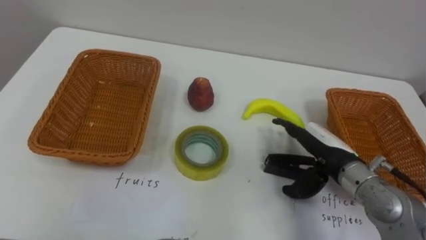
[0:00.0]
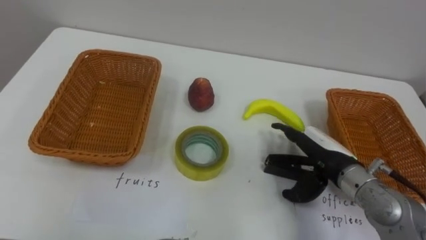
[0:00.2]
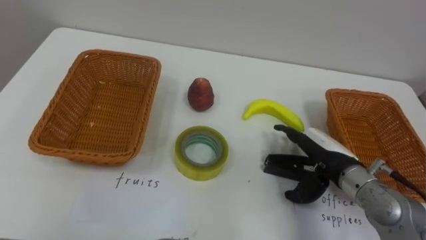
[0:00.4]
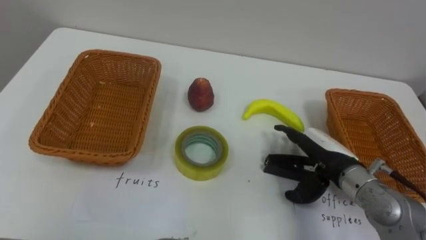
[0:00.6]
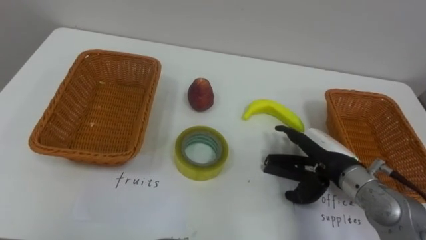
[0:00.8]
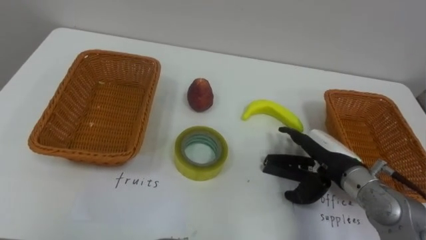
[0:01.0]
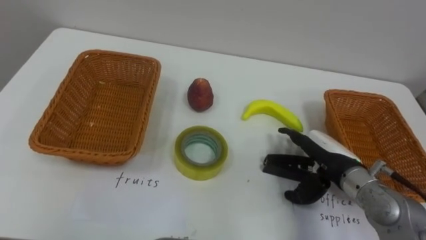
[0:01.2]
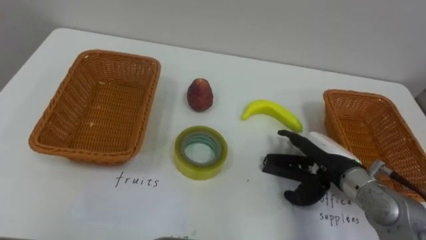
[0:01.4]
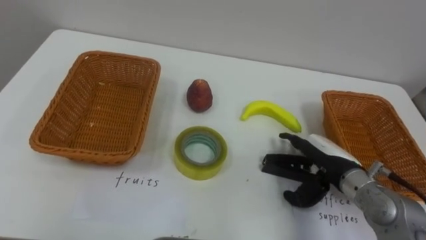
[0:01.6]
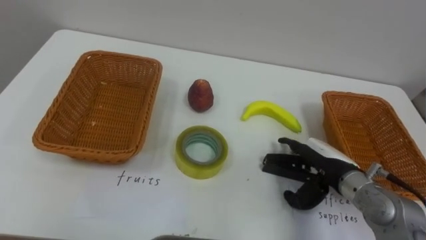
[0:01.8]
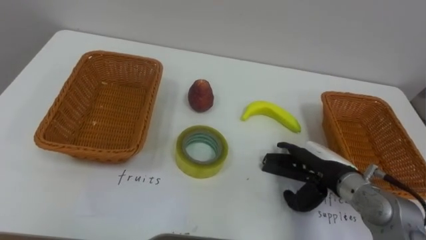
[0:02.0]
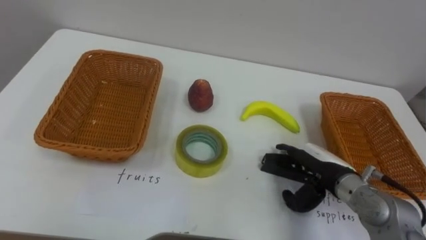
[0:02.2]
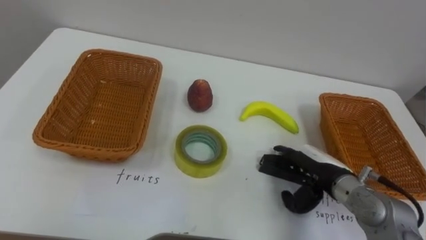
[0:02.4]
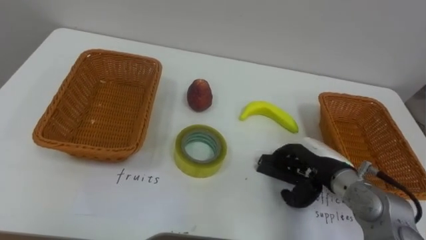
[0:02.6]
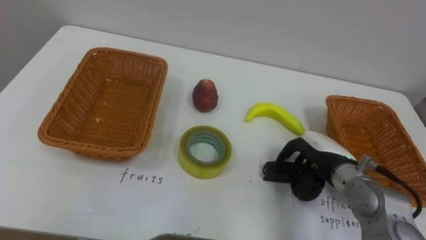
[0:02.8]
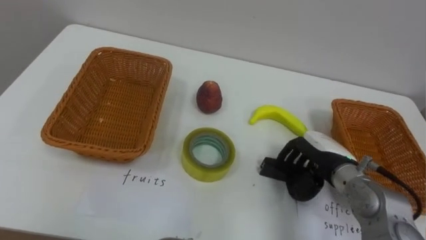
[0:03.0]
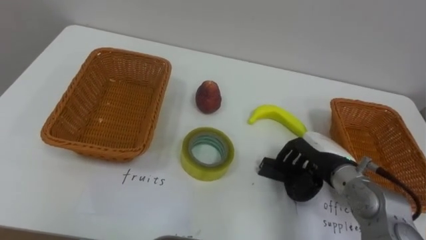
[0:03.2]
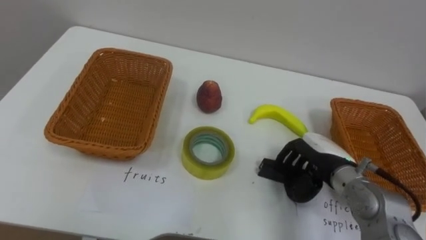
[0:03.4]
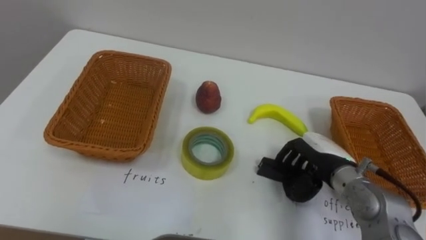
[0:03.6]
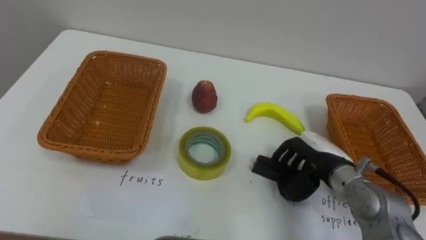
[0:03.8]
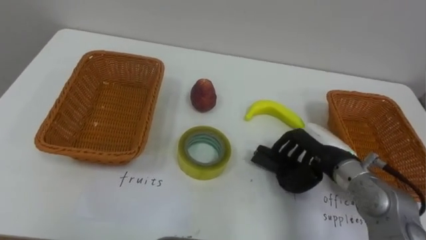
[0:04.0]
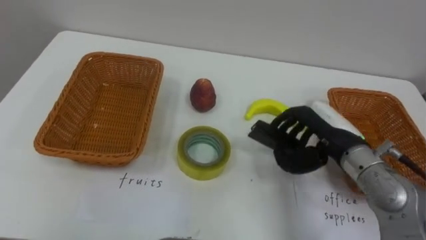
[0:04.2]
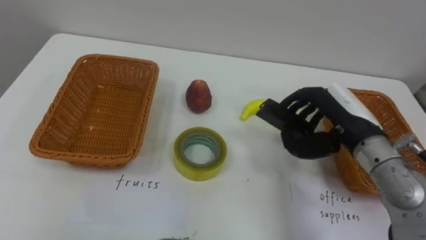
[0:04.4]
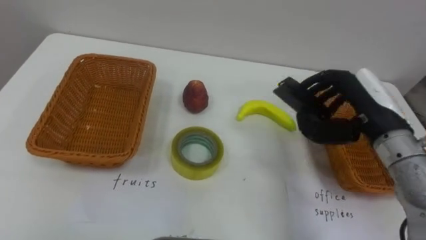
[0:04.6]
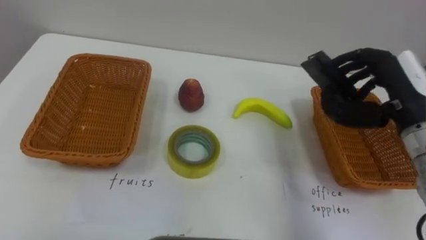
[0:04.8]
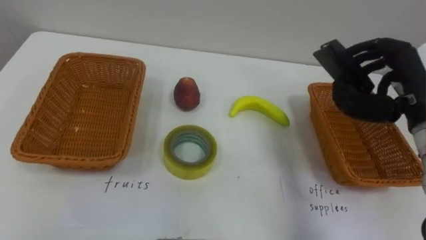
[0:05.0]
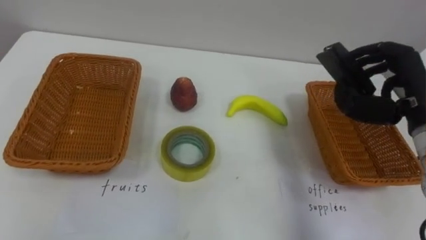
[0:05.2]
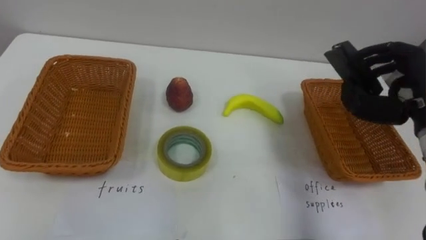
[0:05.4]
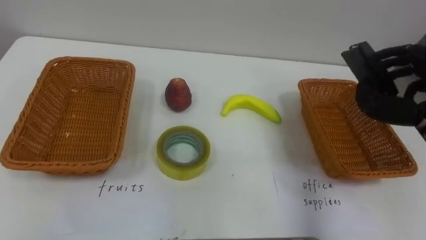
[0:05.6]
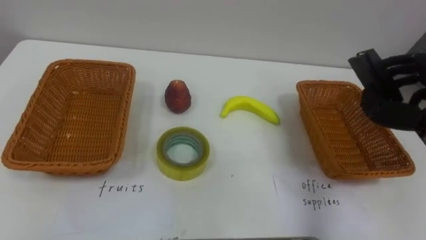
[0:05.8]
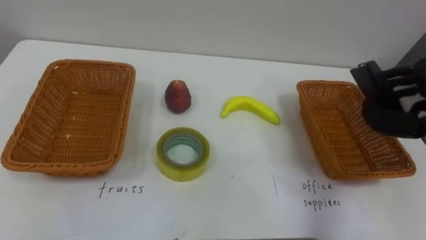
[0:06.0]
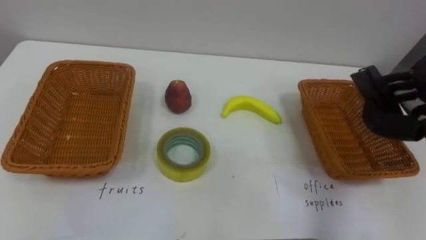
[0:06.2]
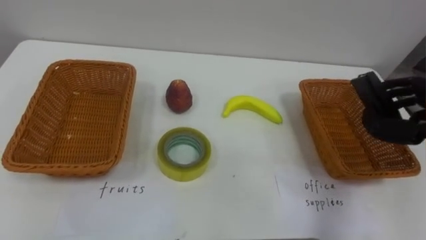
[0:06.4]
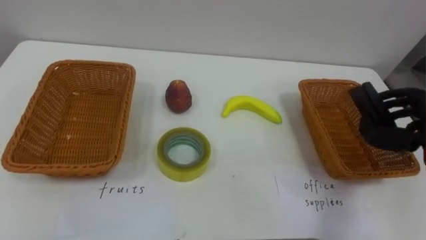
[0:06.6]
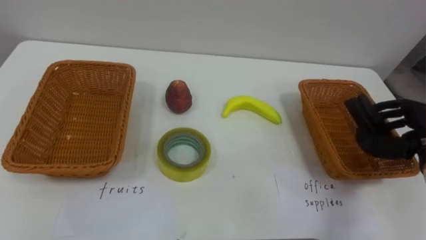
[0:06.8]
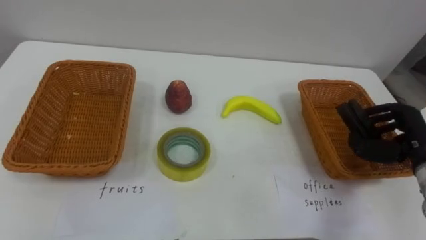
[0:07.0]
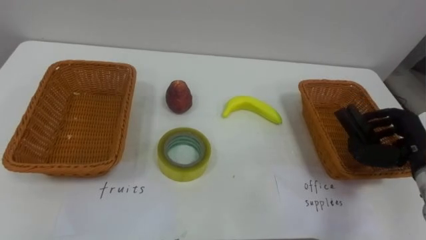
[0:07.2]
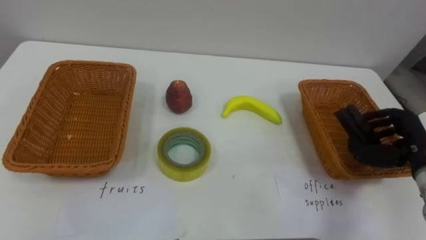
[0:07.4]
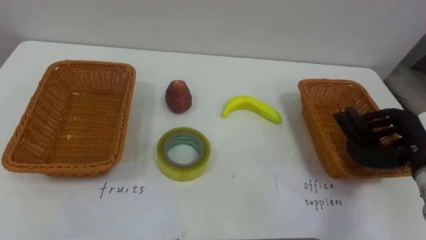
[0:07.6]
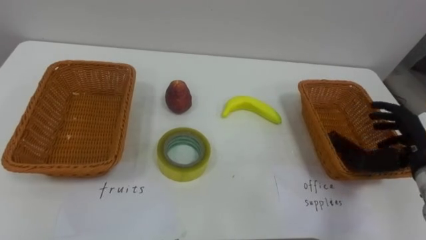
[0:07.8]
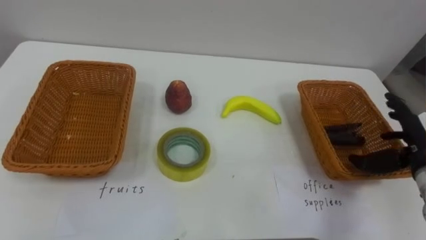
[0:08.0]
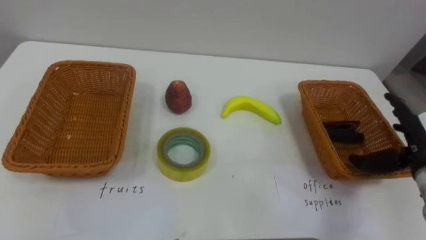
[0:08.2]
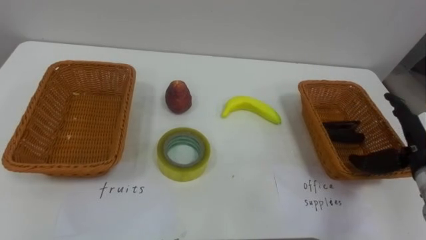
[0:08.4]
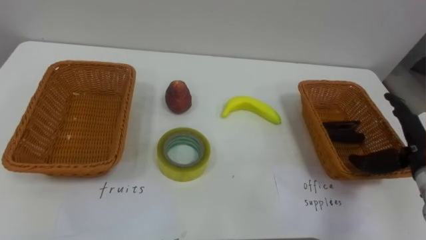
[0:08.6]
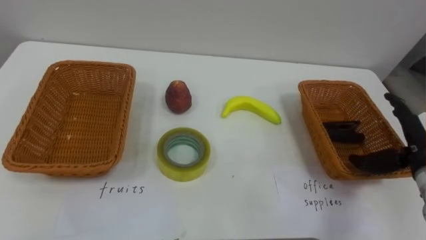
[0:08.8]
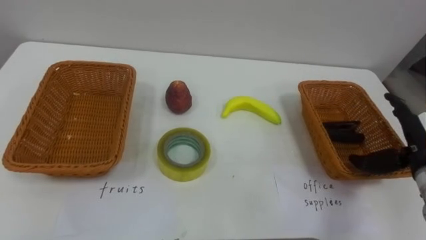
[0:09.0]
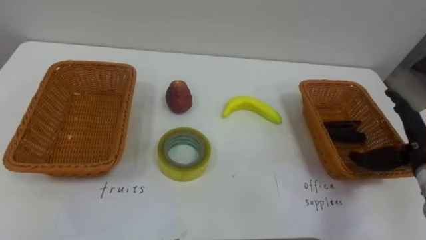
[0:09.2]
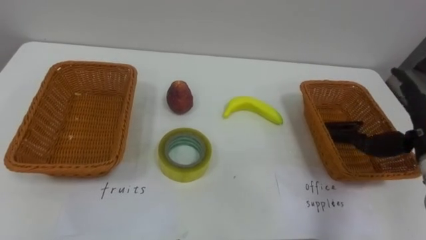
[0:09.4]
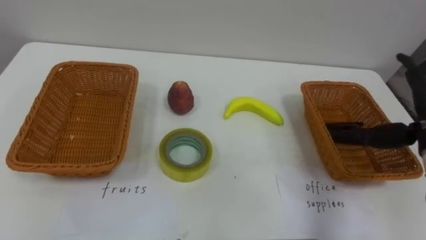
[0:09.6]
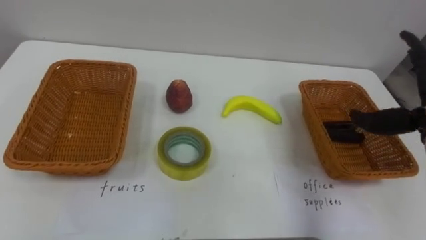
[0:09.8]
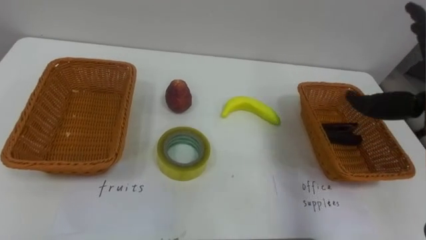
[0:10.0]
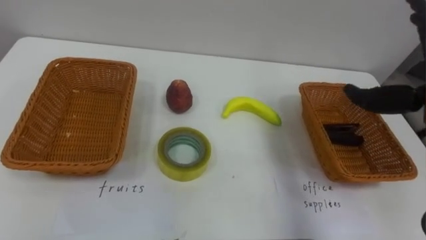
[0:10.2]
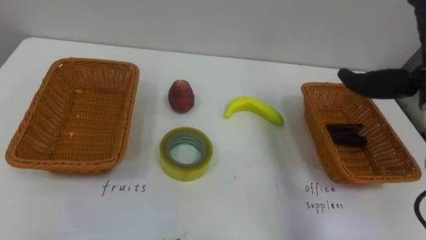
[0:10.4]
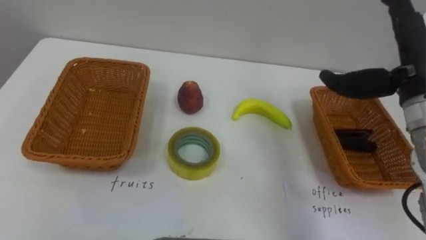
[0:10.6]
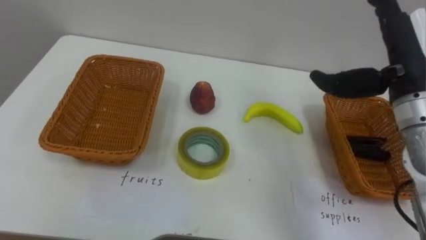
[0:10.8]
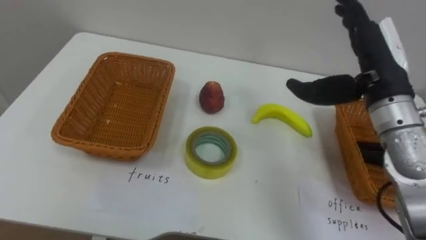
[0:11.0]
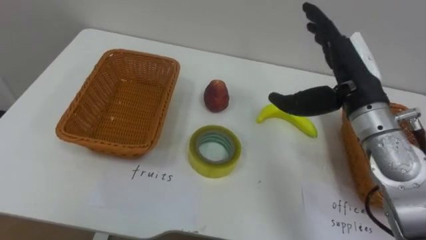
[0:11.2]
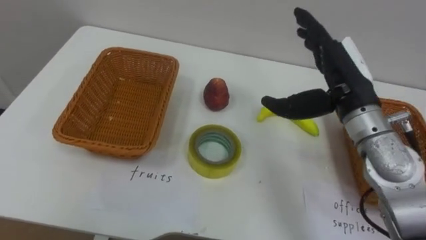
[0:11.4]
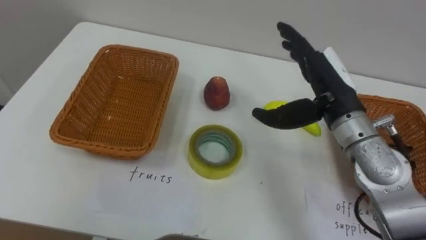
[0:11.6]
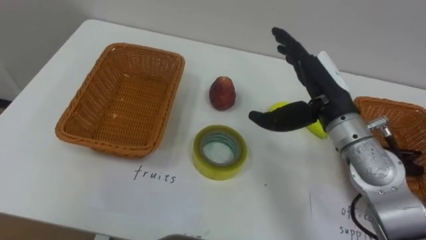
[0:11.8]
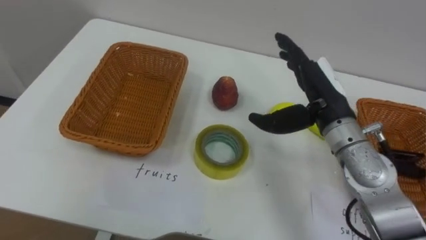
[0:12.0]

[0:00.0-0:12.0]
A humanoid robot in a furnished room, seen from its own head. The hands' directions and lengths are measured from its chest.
Task of the whole recording: Separate the items on the table and place them into the two baskets.
0:01.6 to 0:03.0: The right hand closes its fingers.
0:03.0 to 0:04.4: The right hand shifts about 10 cm upward.
0:07.6 to 0:09.0: The right hand opens.

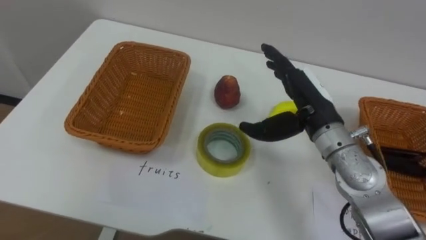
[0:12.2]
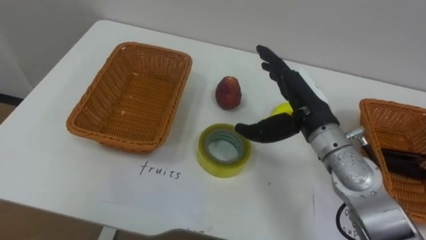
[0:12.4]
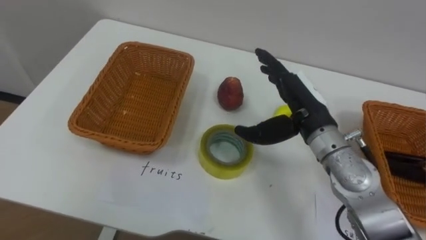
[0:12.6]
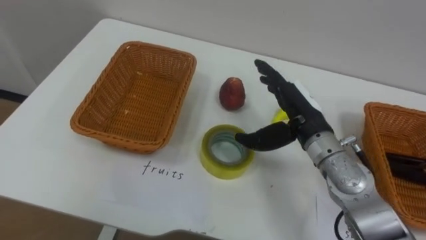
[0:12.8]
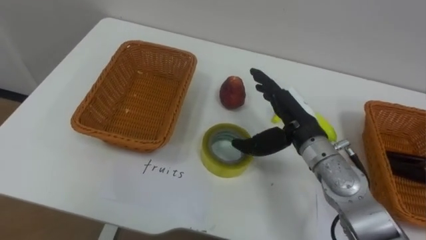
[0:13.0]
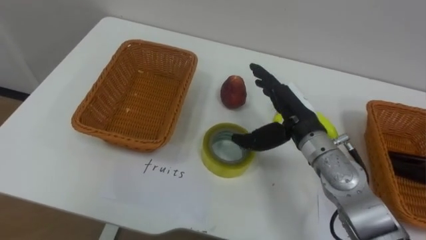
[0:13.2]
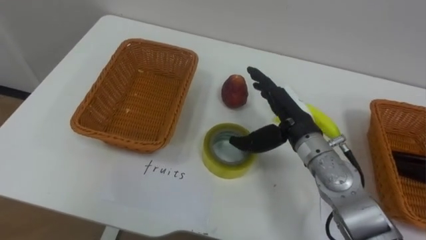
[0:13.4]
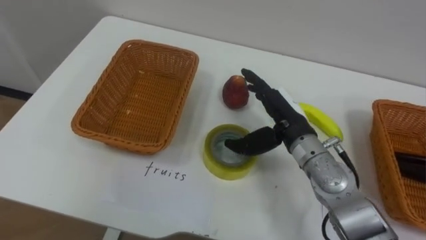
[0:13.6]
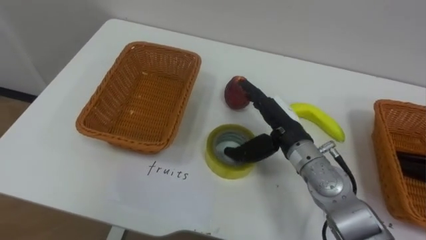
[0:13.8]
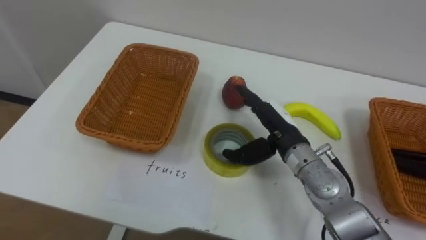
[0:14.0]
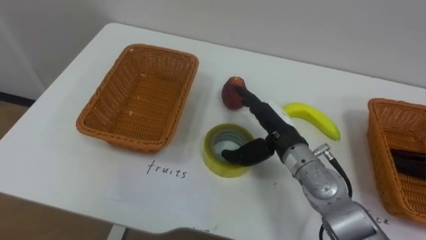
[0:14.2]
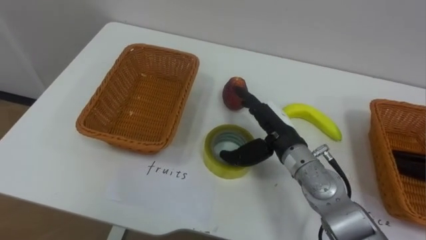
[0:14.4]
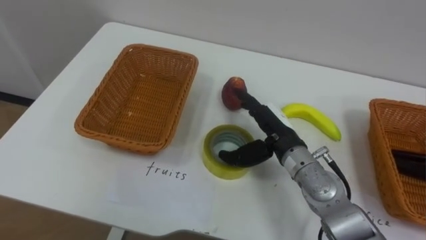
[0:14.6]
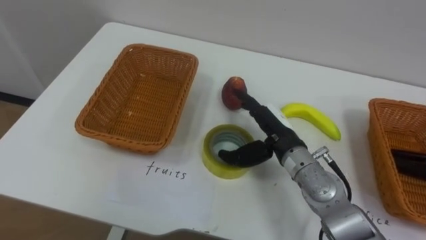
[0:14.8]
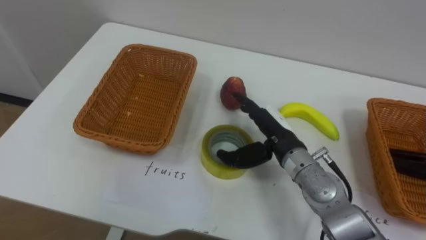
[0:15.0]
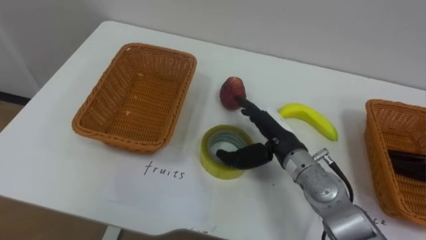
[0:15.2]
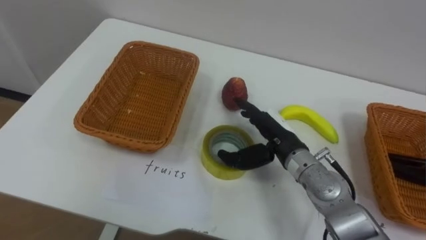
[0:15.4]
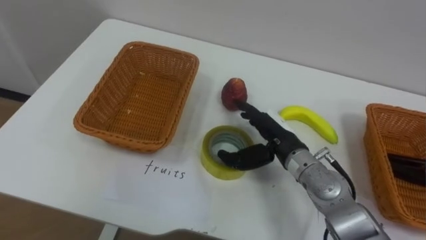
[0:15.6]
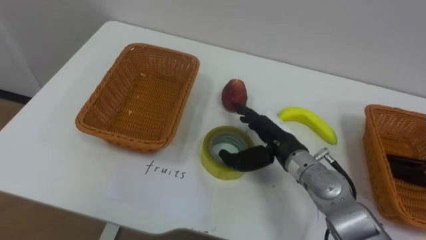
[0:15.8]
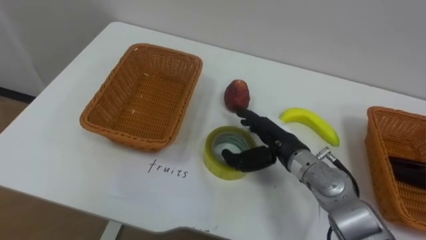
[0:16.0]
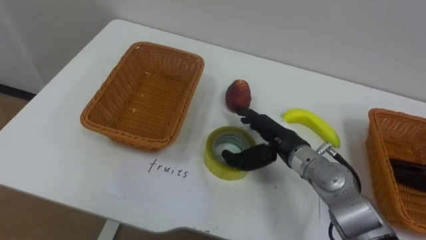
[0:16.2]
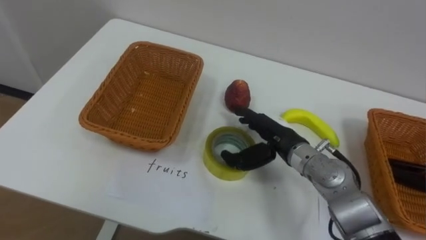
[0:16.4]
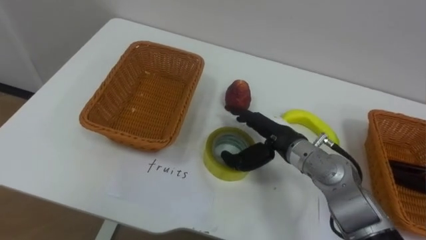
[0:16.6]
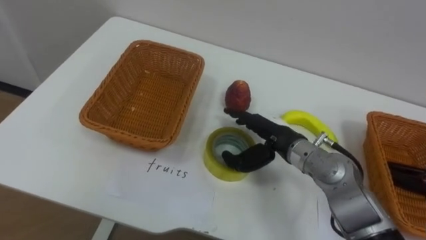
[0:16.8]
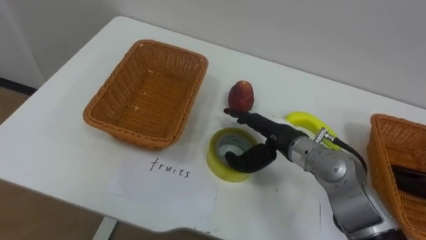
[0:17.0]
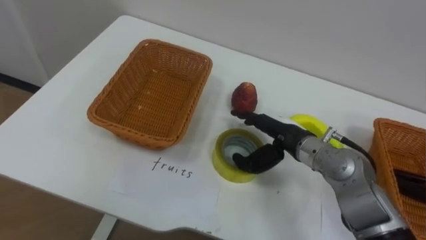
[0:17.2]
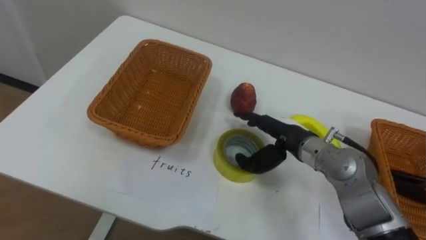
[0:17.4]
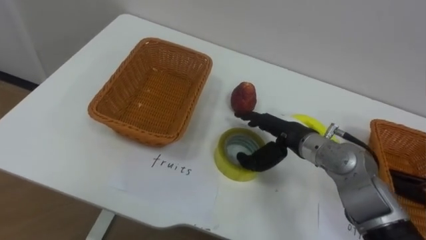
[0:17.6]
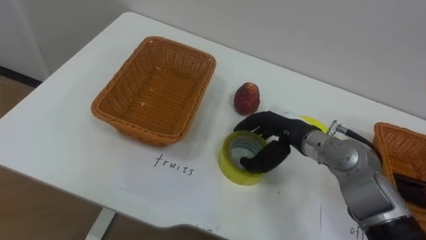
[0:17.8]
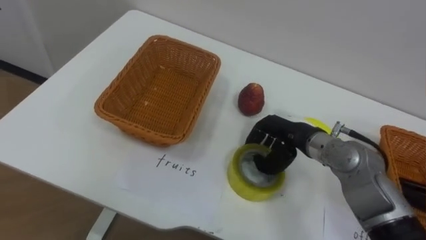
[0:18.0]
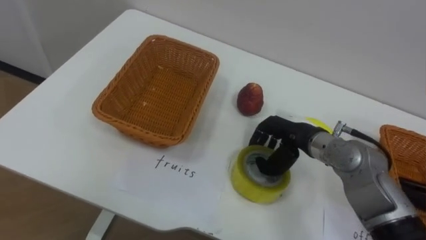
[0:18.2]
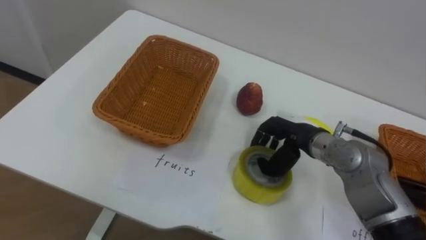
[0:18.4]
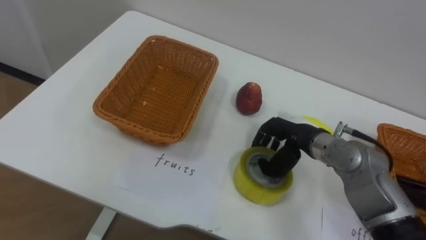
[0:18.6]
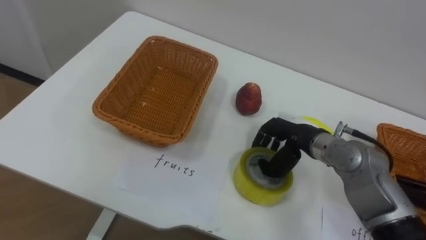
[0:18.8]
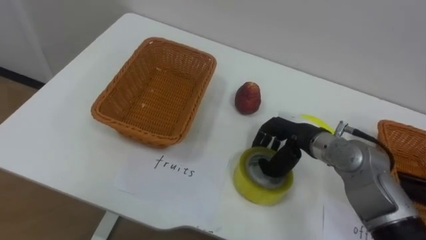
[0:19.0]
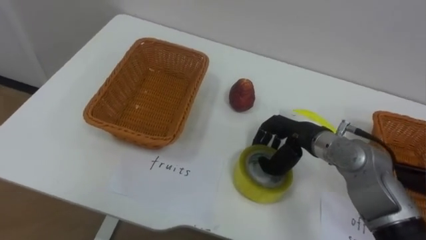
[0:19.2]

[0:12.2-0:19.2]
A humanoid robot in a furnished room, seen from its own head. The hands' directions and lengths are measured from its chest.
Task of the whole recording: Separate the items on the table and place them into the two baskets.
0:12.2 to 0:13.6: The right hand changes place by about 5 cm.
0:17.8 to 0:19.2: The right hand closes its fingers.
